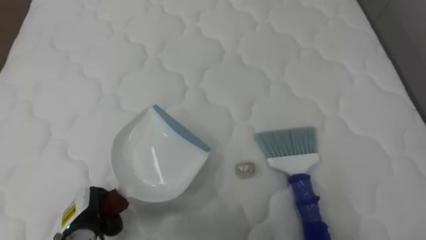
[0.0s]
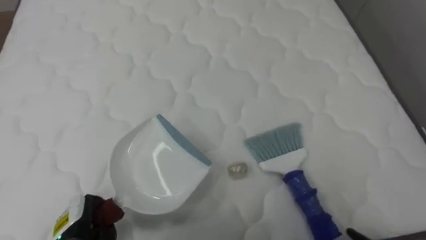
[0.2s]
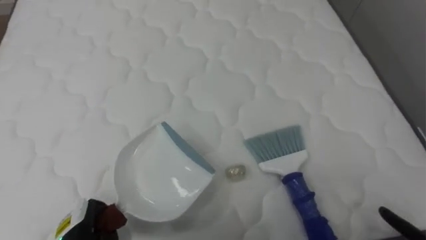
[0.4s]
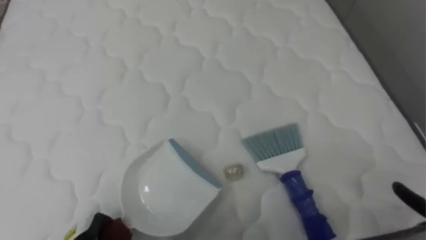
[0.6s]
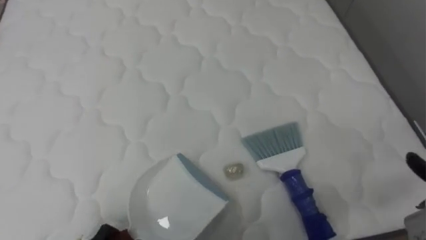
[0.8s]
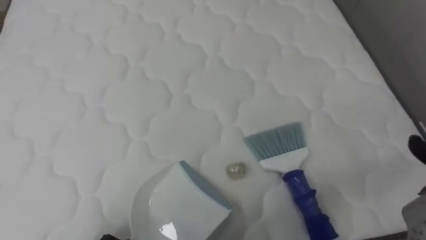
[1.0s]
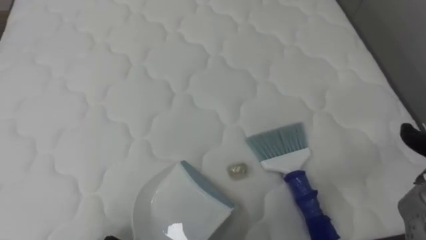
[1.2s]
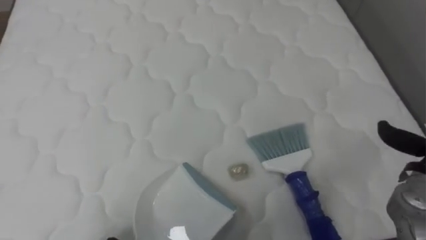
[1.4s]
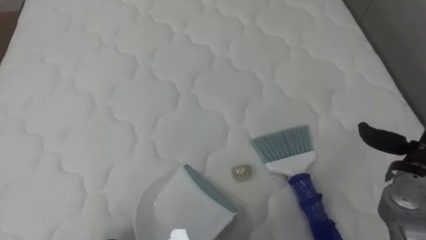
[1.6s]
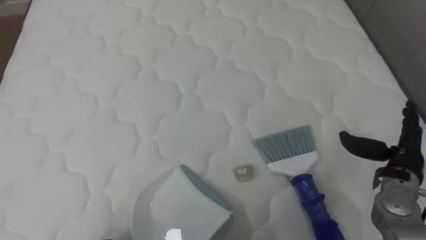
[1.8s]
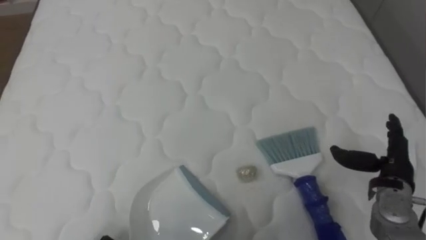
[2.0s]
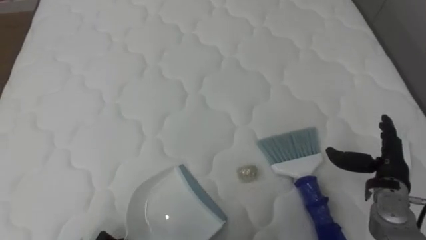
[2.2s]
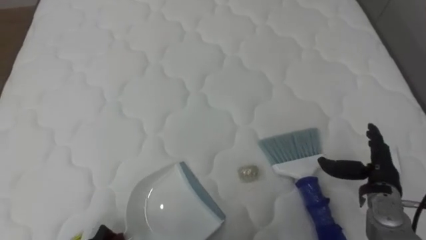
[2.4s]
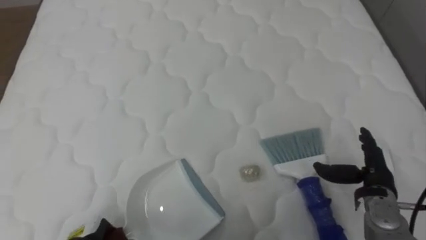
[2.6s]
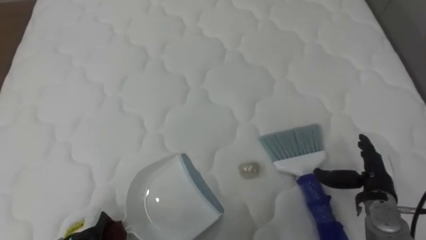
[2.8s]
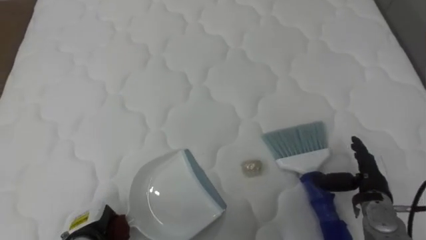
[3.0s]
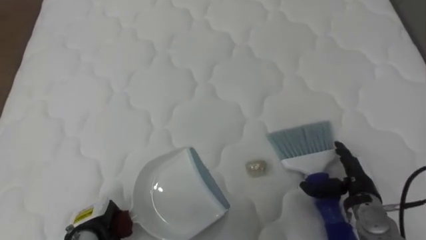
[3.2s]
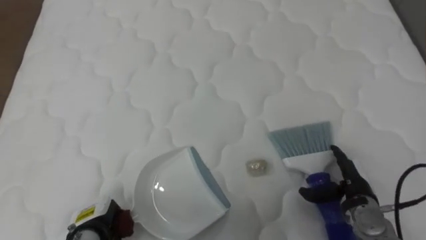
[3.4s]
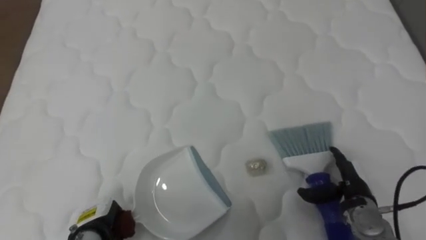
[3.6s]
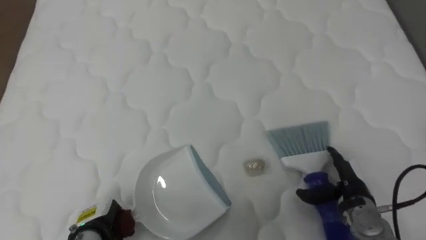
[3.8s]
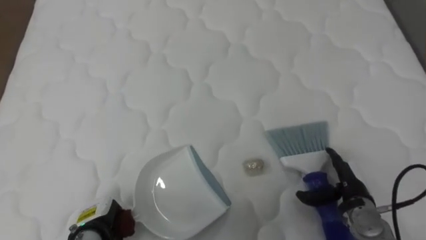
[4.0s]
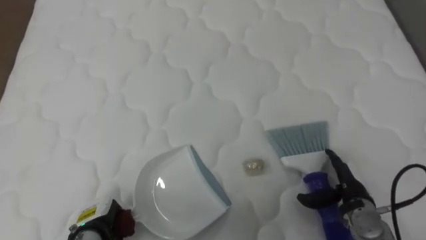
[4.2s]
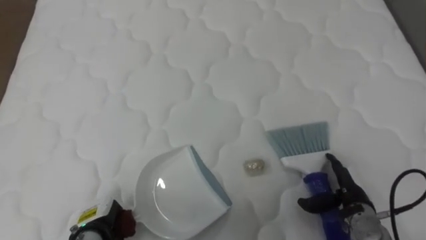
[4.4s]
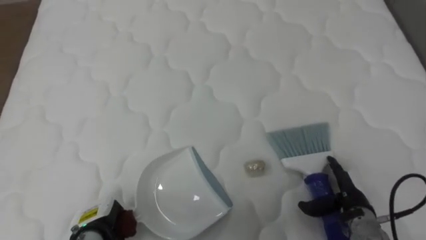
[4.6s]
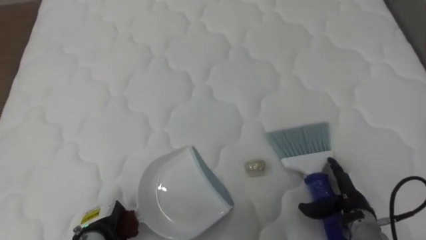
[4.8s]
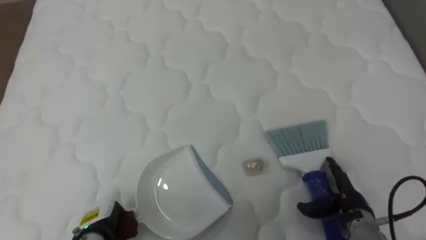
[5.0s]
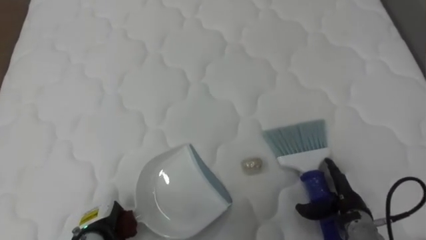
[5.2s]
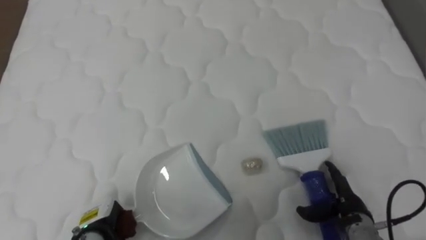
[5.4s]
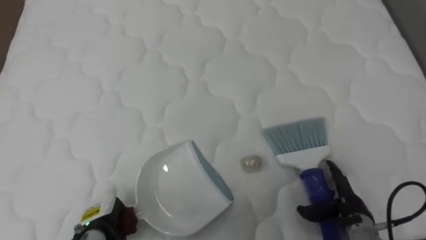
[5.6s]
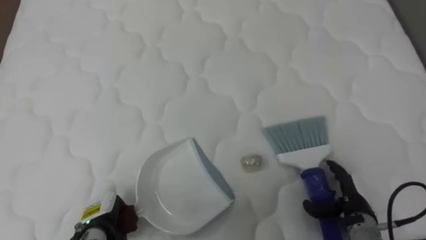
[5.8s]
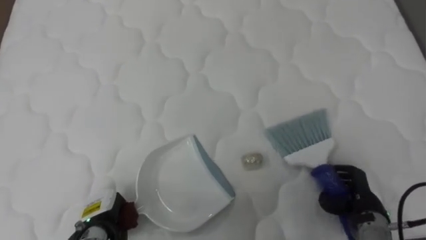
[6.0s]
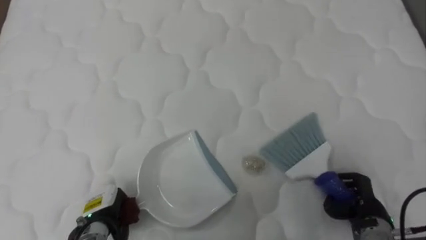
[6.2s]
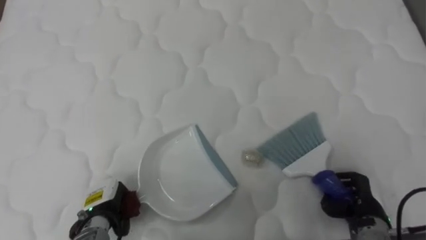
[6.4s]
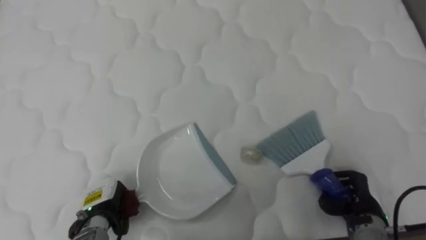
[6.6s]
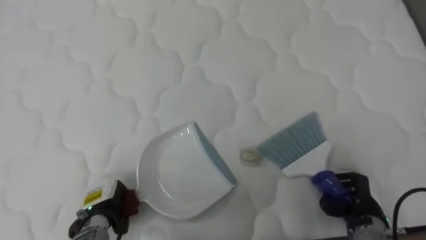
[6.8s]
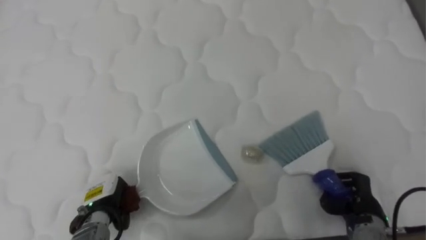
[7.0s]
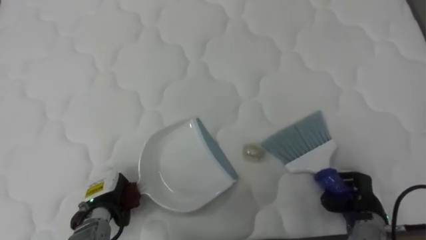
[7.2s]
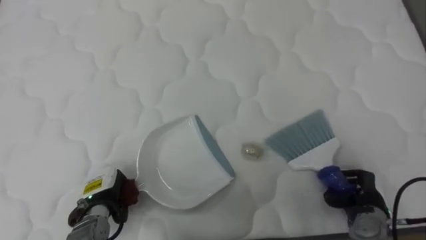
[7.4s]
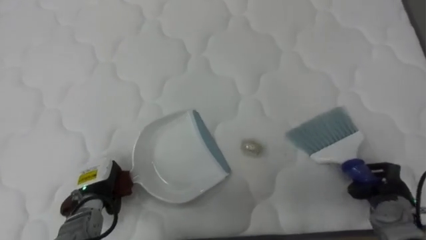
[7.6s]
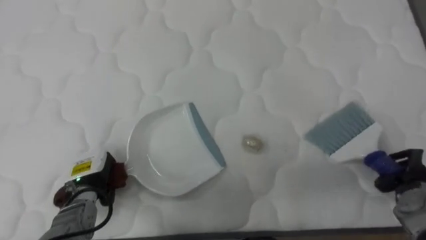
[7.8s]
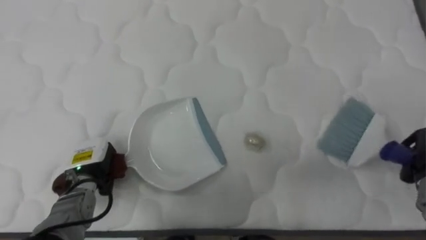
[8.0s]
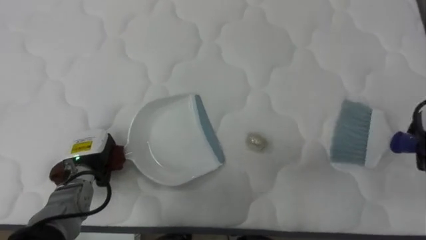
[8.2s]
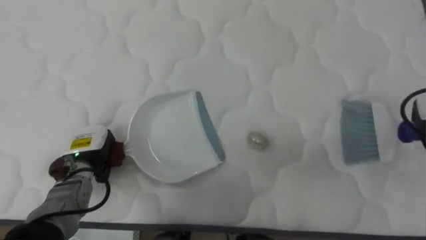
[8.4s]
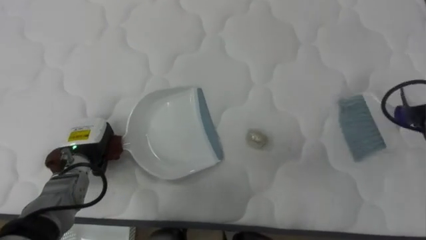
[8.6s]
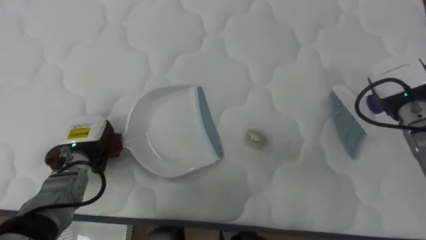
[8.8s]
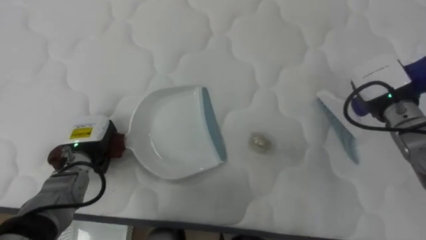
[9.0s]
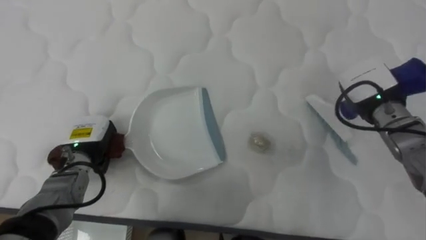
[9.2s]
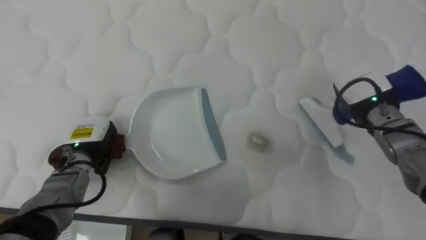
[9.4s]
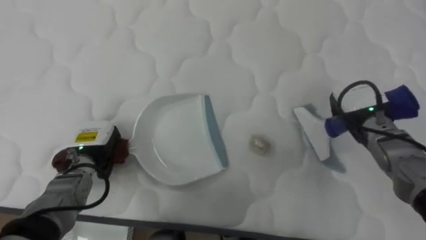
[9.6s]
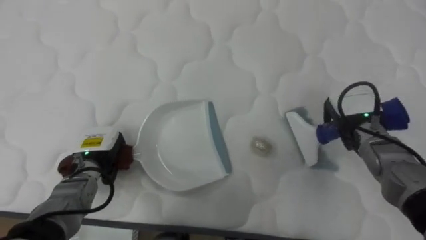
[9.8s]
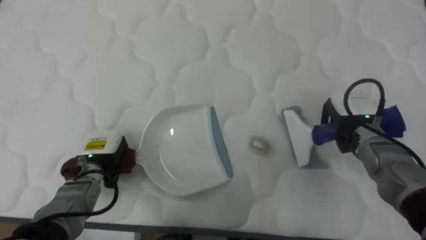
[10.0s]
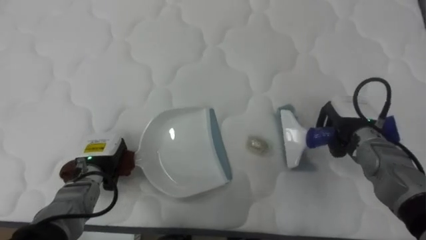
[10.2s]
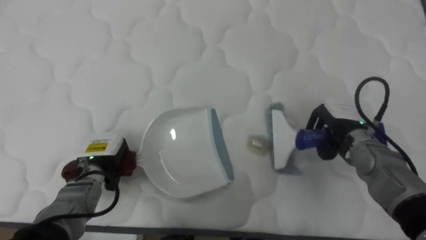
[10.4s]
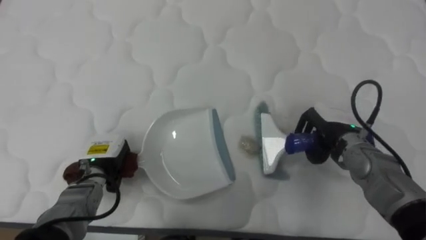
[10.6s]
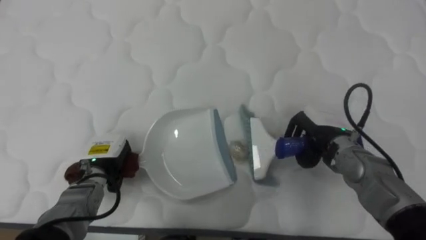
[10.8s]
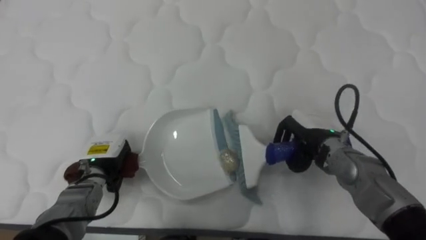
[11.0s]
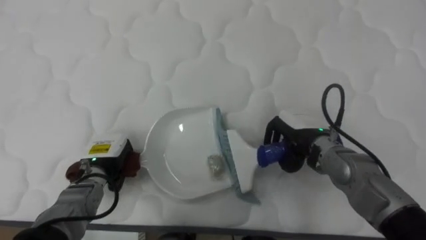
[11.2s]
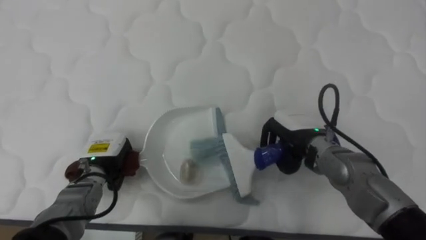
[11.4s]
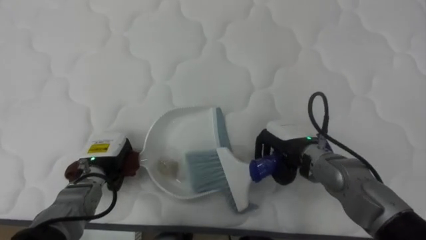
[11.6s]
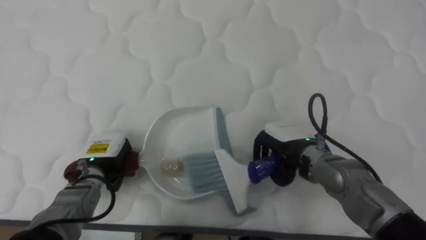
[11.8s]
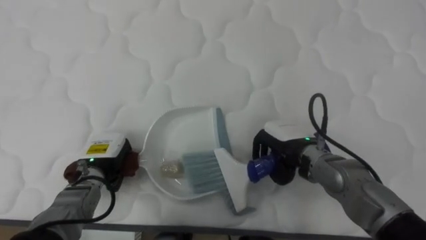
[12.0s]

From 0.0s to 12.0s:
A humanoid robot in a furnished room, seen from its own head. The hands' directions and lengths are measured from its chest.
Task of the whole recording: Pick up the brush on your right and the dustpan on your left. Use the brush to sweep the crumpled paper on the bed into the dustpan, then turn left and empty it into the basket.
From 1.6s to 3.0s: The right hand moves downward and to the left, roughly 10 cm.
From 3.0s to 4.4s: The right hand moves about 5 cm.
From 6.0s to 7.6s: The left hand heads forward, covering roughly 5 cm; the right hand shifts some 5 cm to the right.
From 7.6s to 9.0s: The left hand travels upward and forward by some 10 cm.
From 9.0s to 10.4s: The right hand goes roughly 10 cm downward and to the left.
From 10.4s to 12.0s: The right hand shifts some 10 cm to the left.

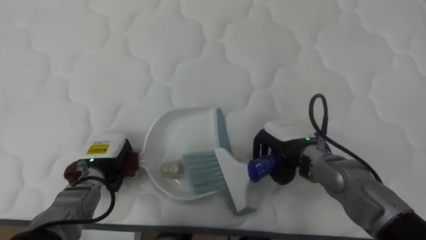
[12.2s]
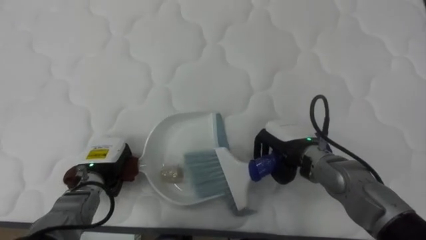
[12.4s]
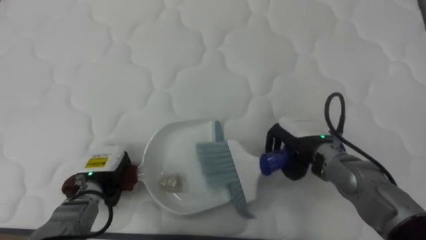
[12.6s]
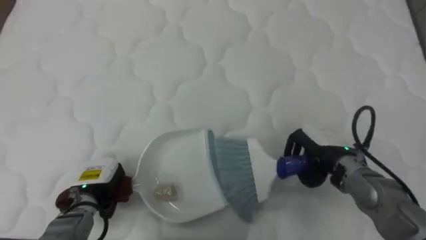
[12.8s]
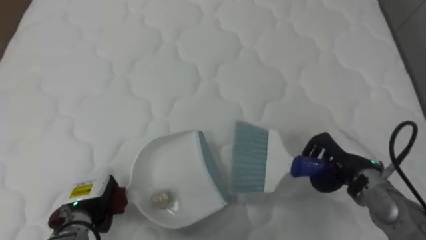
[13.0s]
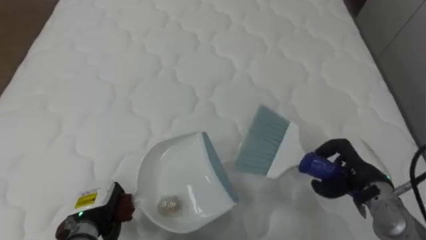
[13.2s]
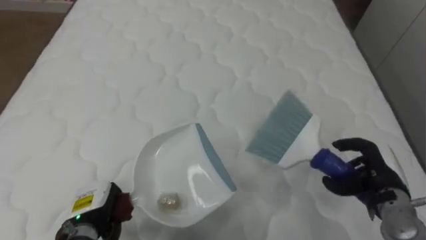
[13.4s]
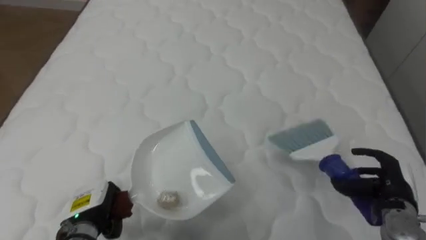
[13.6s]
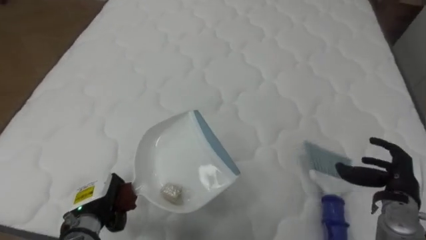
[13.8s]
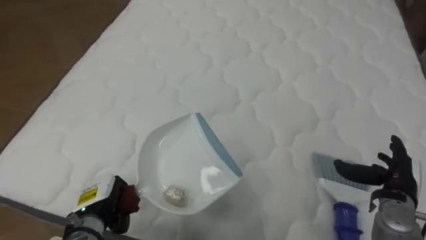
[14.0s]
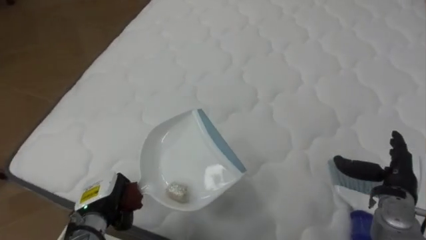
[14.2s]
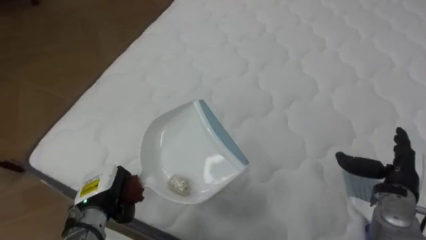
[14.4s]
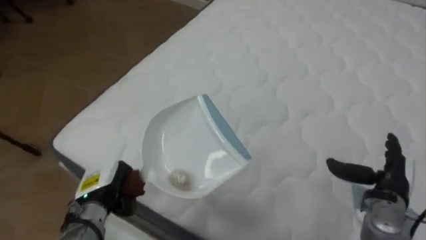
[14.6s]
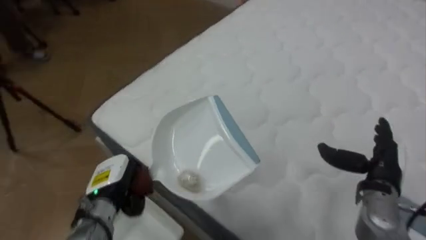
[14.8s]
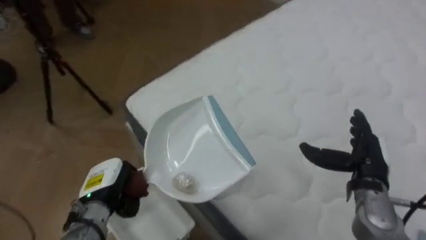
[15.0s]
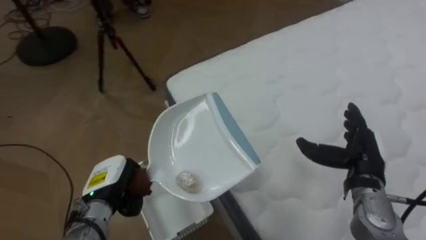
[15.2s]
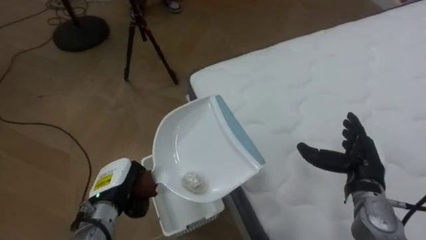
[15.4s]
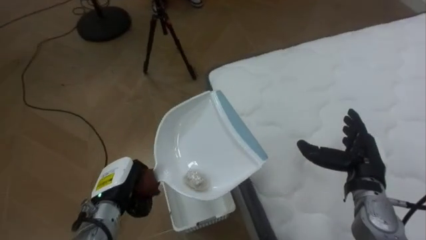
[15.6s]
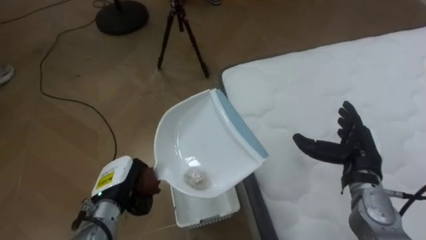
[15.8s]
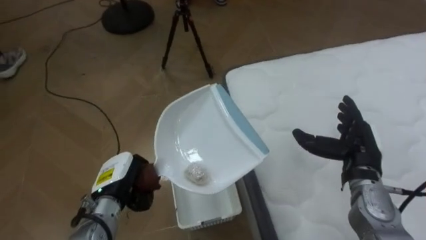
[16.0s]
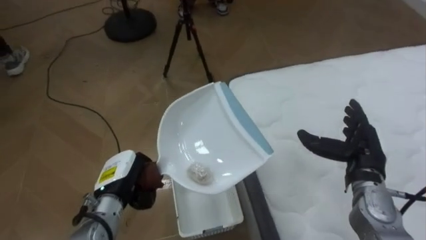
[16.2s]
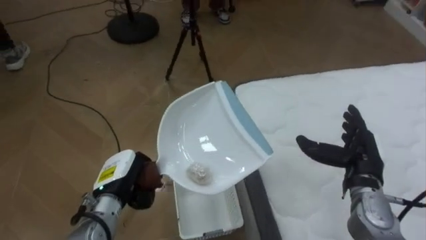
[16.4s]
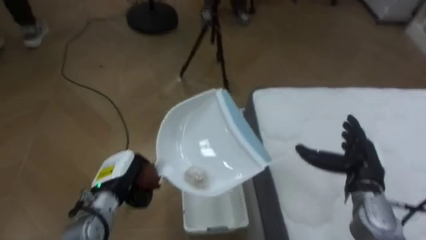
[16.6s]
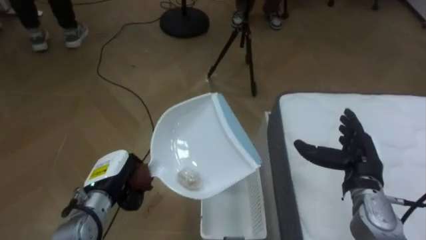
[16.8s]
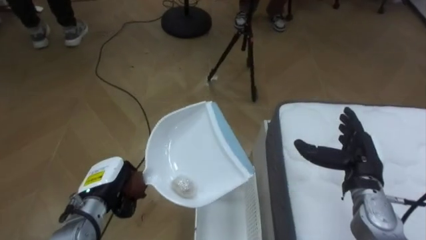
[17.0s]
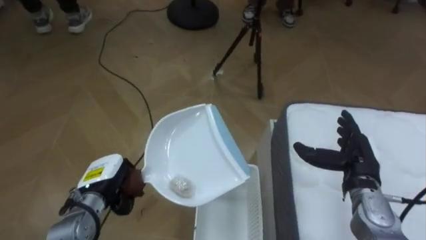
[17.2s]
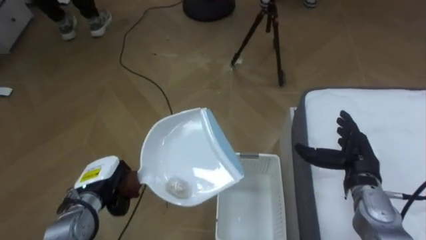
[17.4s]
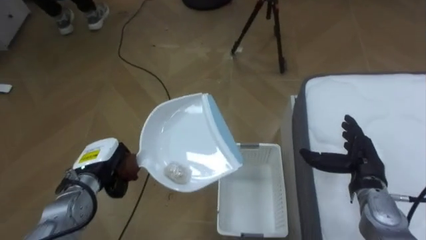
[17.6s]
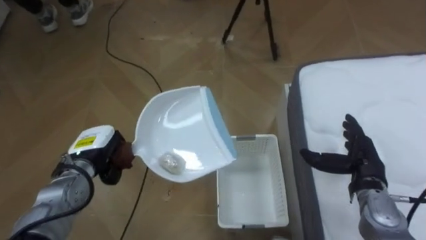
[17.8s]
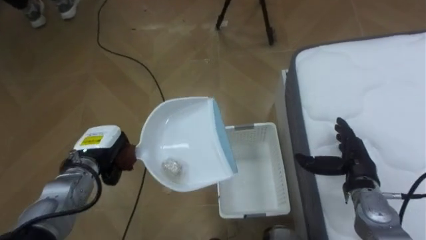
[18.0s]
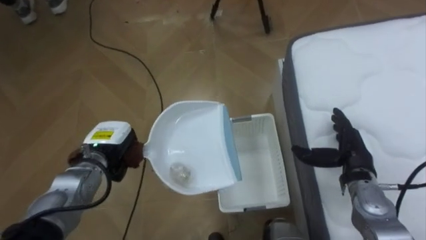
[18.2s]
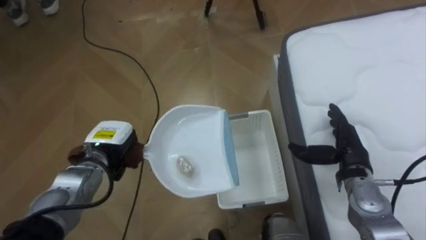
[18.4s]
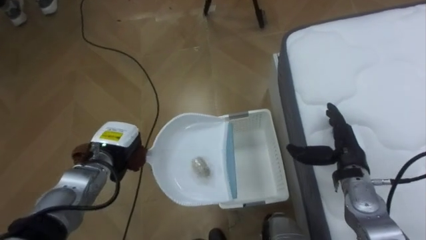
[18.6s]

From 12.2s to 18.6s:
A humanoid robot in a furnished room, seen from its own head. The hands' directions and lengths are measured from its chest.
Task of the whole recording: Pick up the brush on your right and the dustpan on your left. Use the brush to sweep the crumpled paper on the bed into the dustpan, then turn left and empty it into the basket.
From 12.2s to 13.8s: The left hand shifts some 10 cm backward; the right hand is displaced to the right by about 20 cm, and opens its fingers.
From 13.8s to 15.4s: The robot turns to its left by about 55 degrees. The right hand moves to the left, some 5 cm.
From 15.4s to 17.0s: The robot turns to its left by approximately 25 degrees.
From 17.0s to 18.6s: The left hand travels forward by approximately 10 cm.
